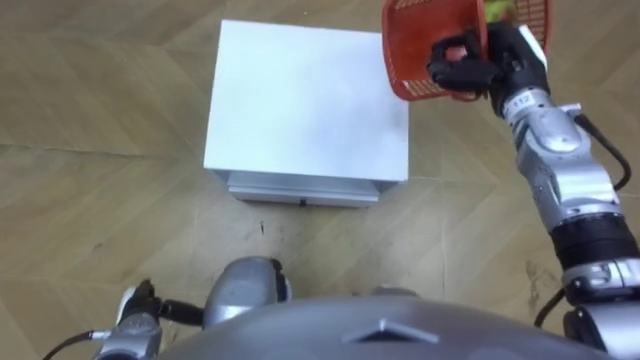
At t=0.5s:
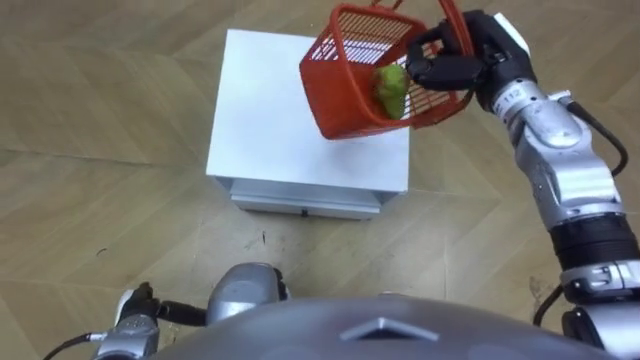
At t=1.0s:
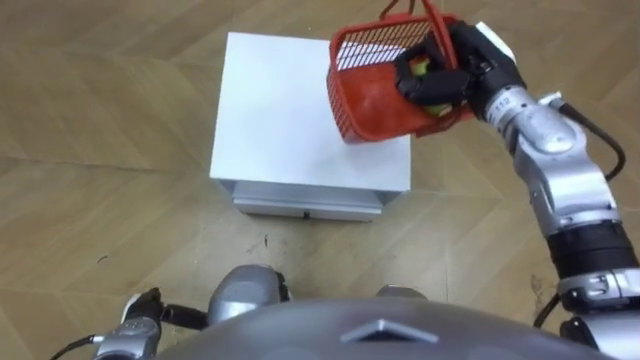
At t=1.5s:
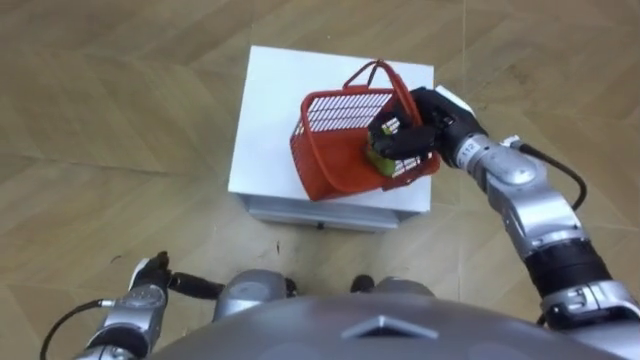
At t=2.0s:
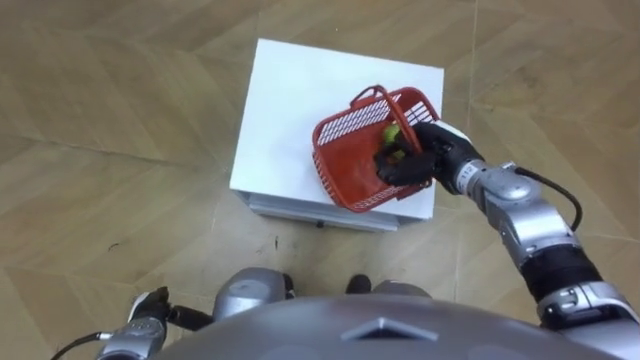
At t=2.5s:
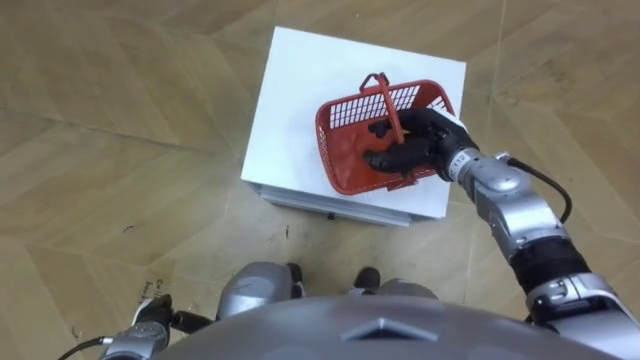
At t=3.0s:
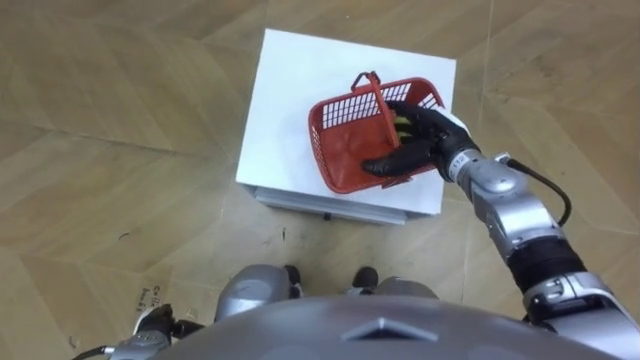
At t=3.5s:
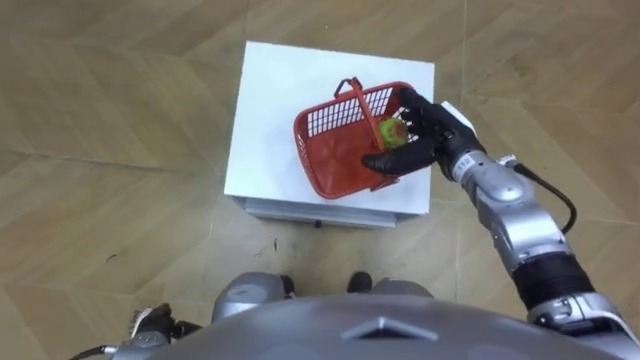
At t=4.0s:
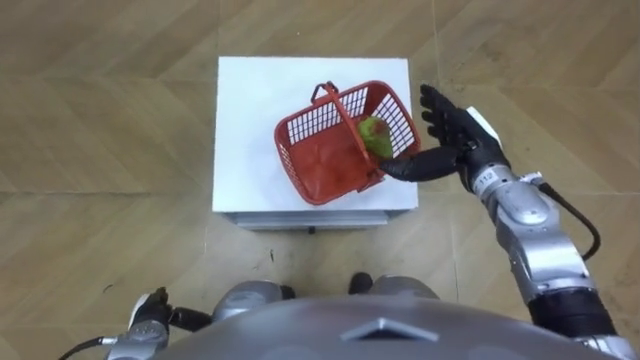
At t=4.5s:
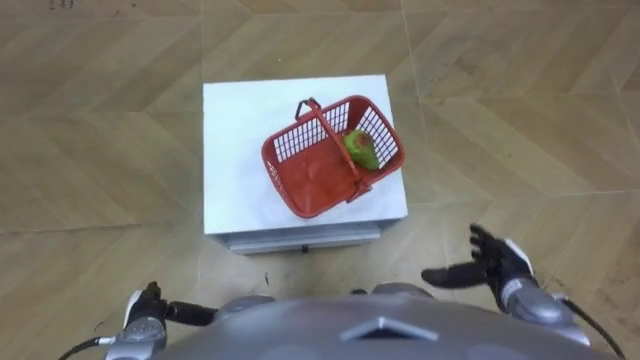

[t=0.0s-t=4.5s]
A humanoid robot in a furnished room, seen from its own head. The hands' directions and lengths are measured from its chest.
Task of the whole recording: Pick up the fruit basket from the floor and place it on the cabinet.
t=0.0s to t=2.0s: The right hand heads downward, backward and to the left, covering approximately 15 cm.
t=2.0s to t=4.5s: The right hand heads backward, to the right and downward, covering some 20 cm, and opens.

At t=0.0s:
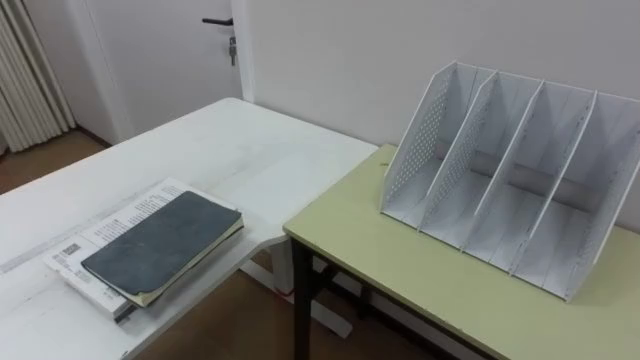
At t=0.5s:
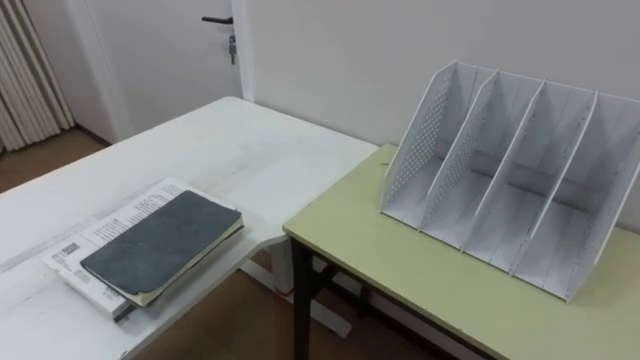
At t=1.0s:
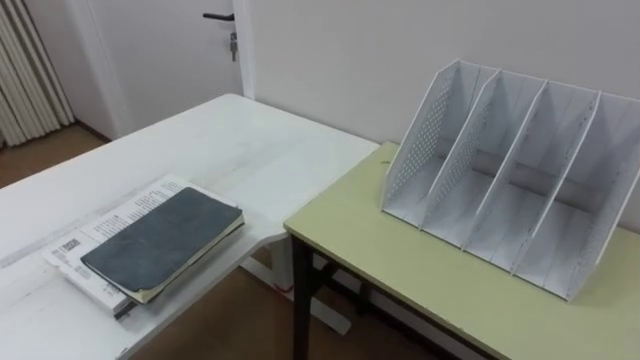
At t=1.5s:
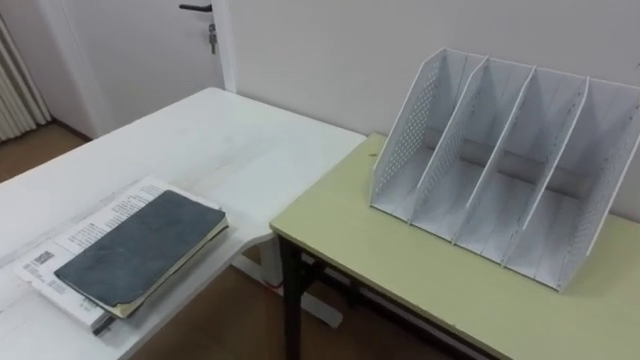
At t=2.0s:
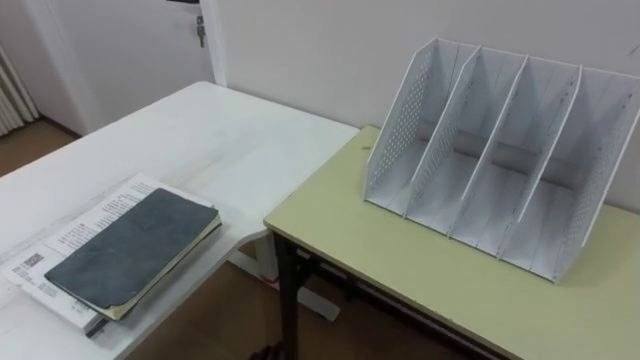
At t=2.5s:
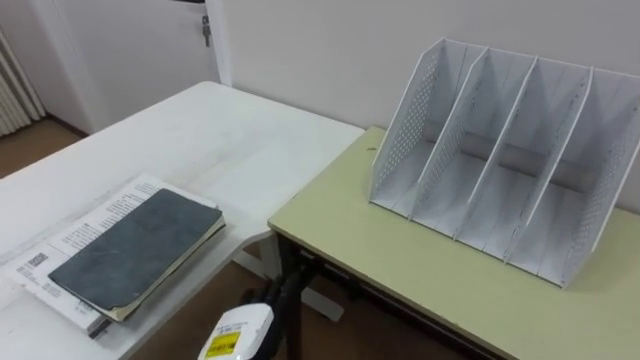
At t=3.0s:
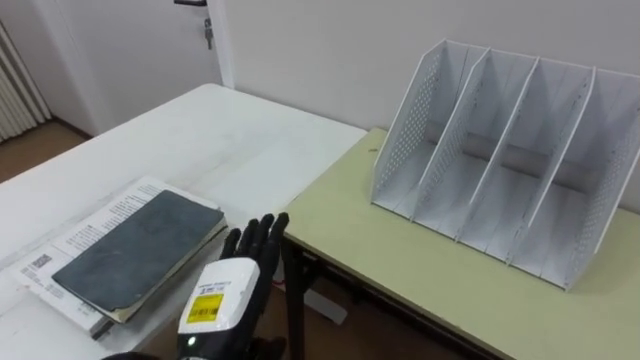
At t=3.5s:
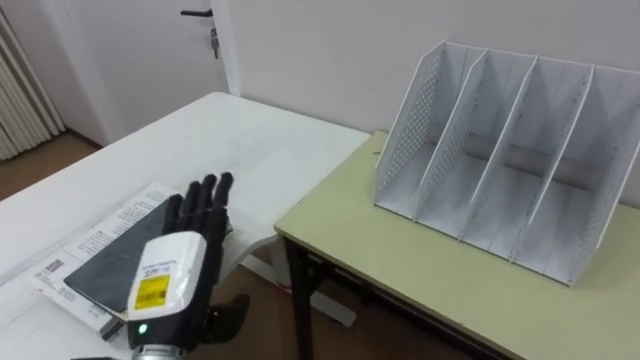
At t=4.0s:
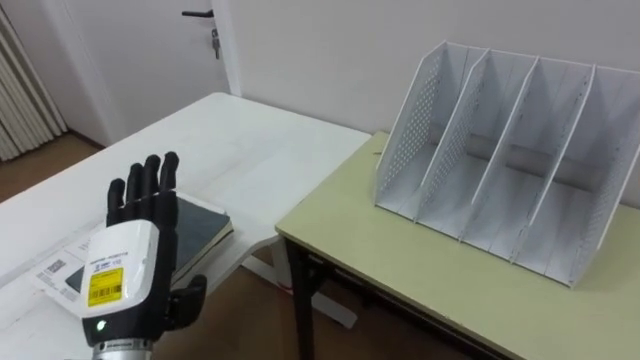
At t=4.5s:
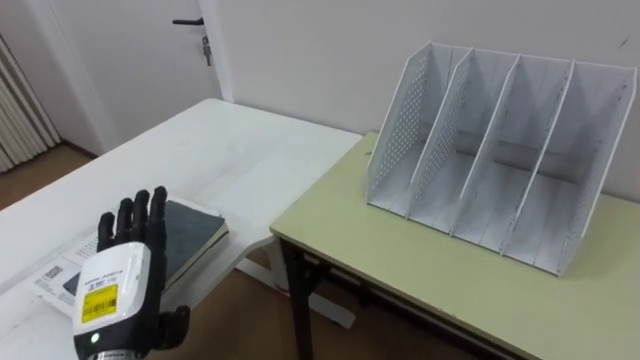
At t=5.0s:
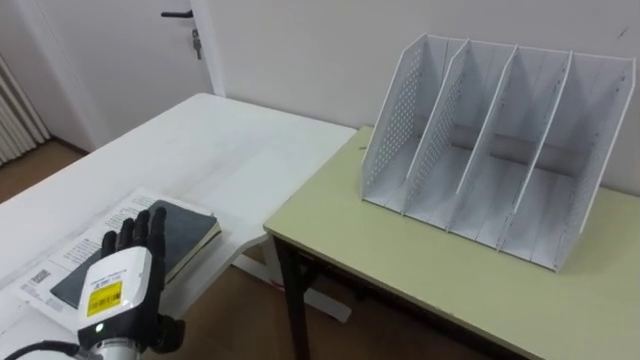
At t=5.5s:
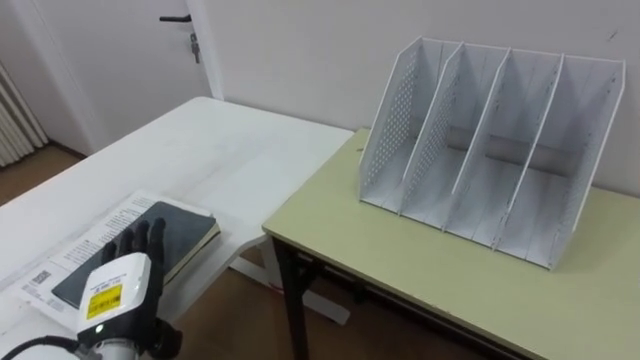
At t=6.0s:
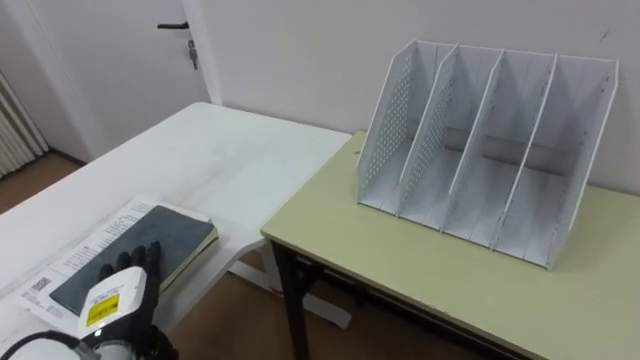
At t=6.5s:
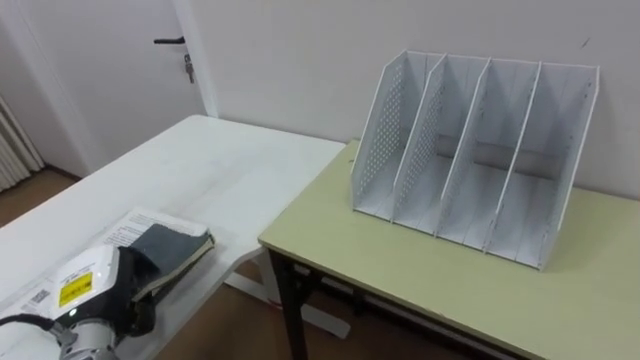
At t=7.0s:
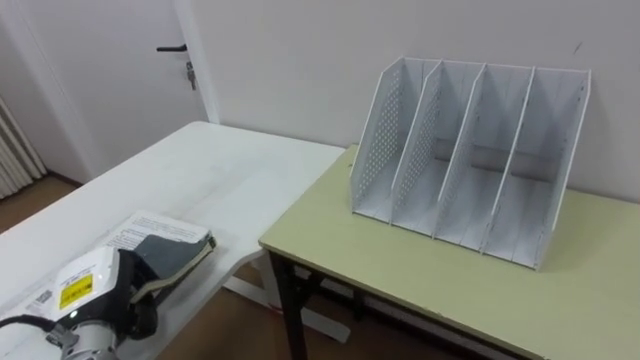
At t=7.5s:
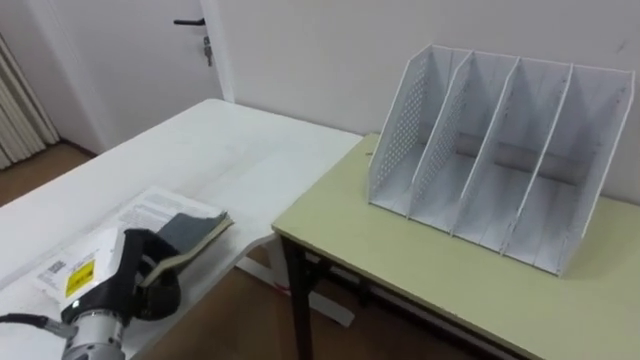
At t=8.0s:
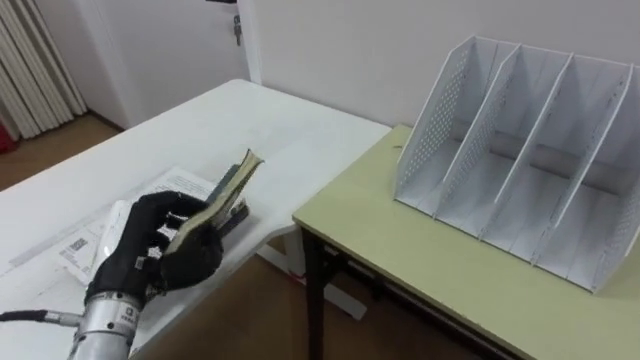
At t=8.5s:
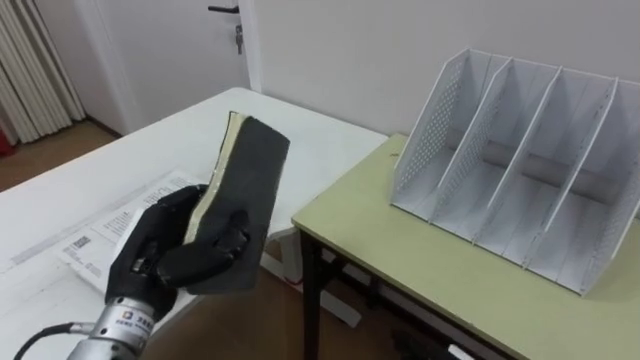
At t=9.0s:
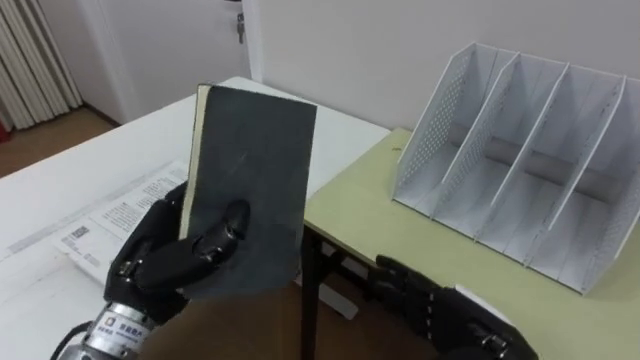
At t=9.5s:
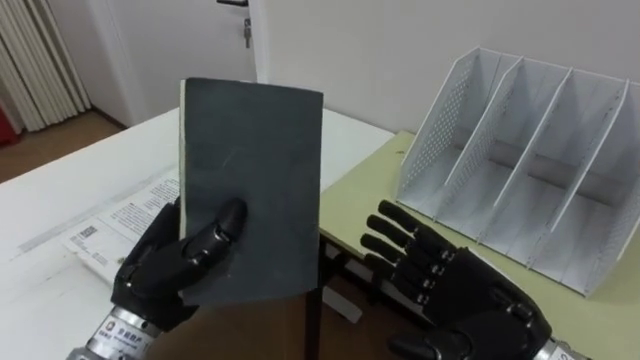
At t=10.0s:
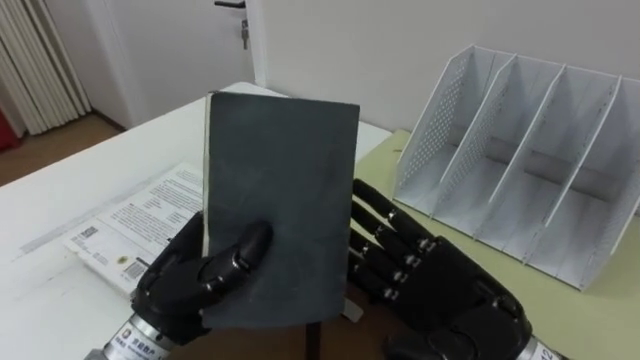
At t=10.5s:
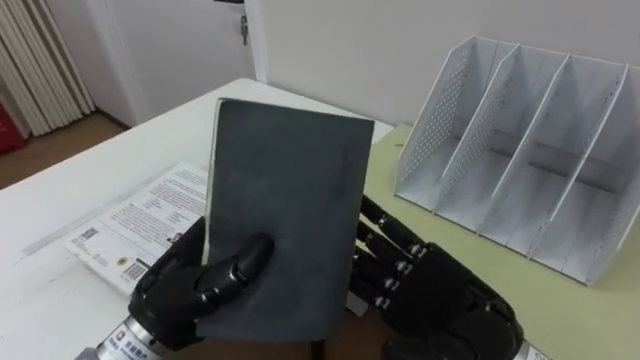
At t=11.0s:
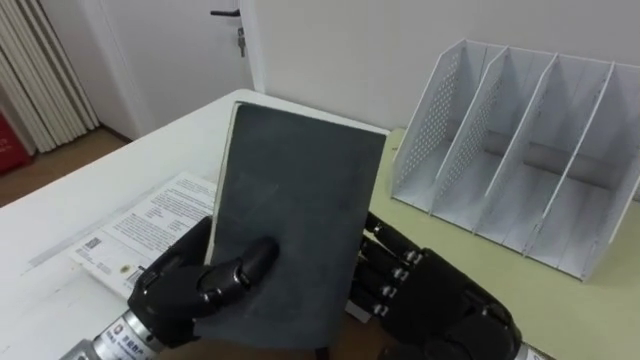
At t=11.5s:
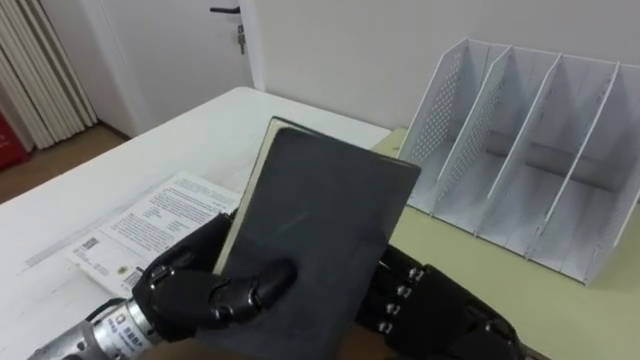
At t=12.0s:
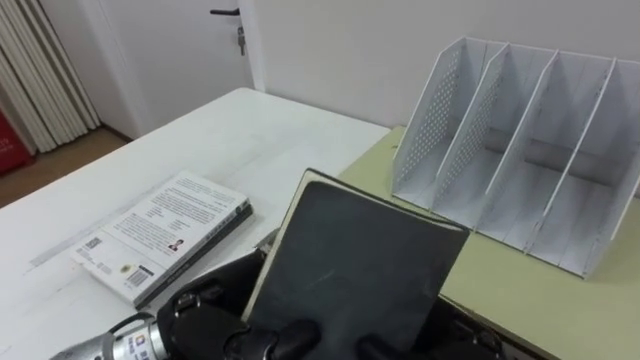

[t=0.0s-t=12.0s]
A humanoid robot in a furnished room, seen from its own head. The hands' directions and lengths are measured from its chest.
Task of the whole recording: Put the books on the table onto the bookshelf.
t=4.0s to t=6.0s: The left hand travels downward by about 10 cm.
t=6.0s to t=8.0s: The left hand travels upward by about 10 cm, and closes up.
t=8.0s to t=10.0s: The left hand heads to the right, covering roughly 10 cm.
t=10.0s to t=12.0s: The right hand closes its fingers.

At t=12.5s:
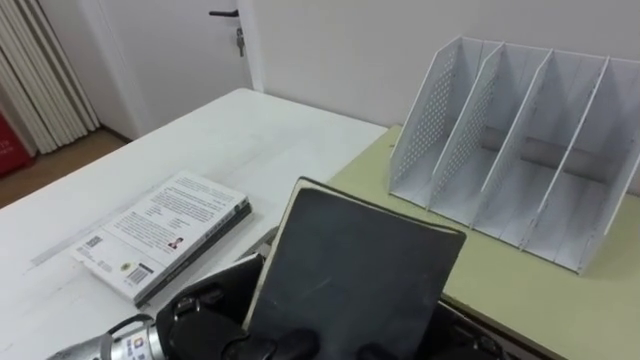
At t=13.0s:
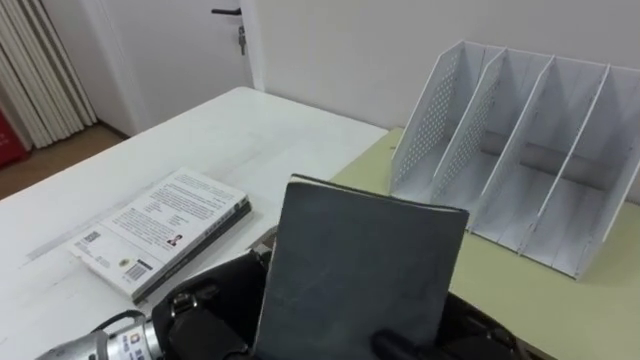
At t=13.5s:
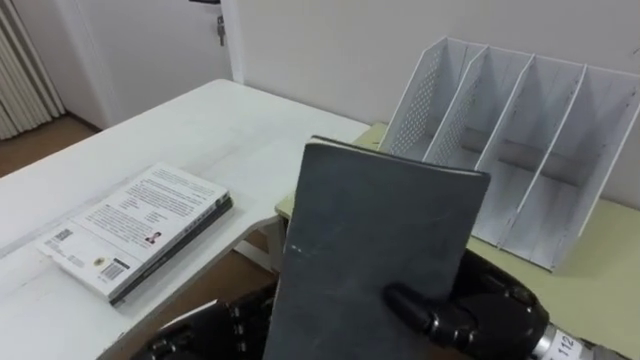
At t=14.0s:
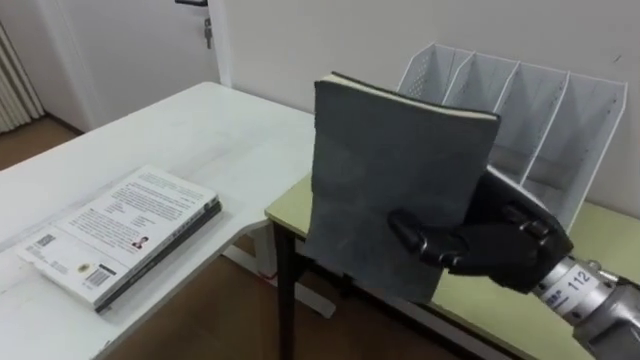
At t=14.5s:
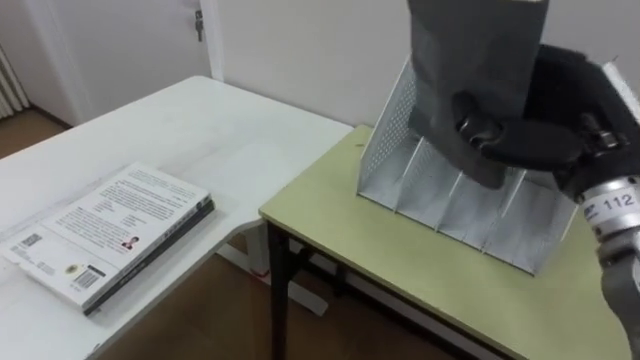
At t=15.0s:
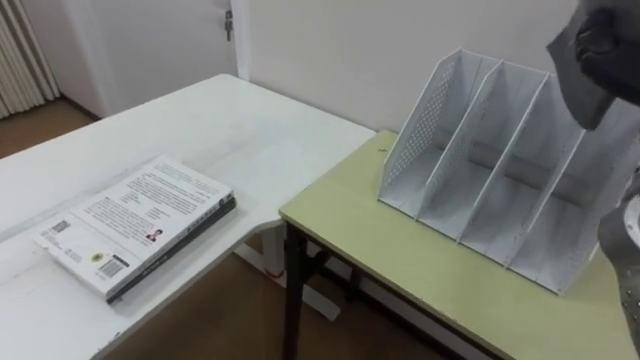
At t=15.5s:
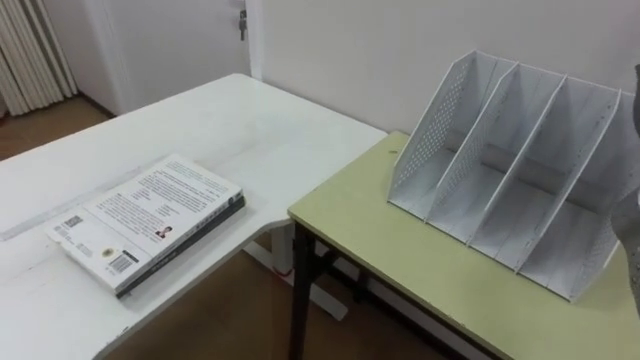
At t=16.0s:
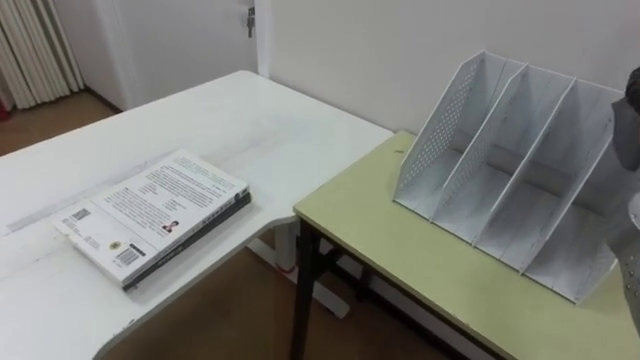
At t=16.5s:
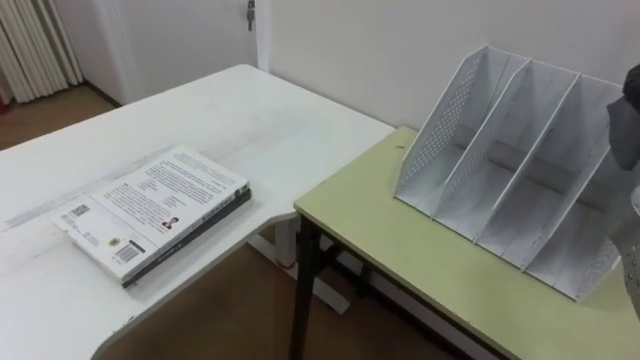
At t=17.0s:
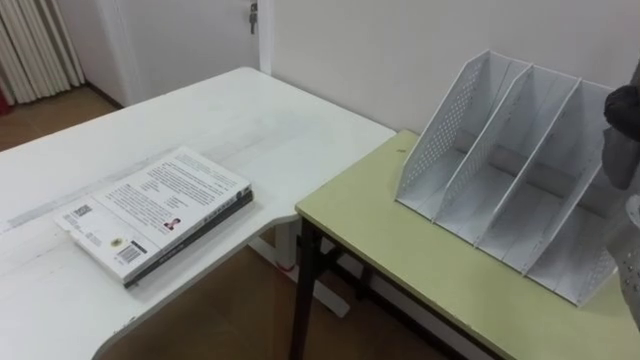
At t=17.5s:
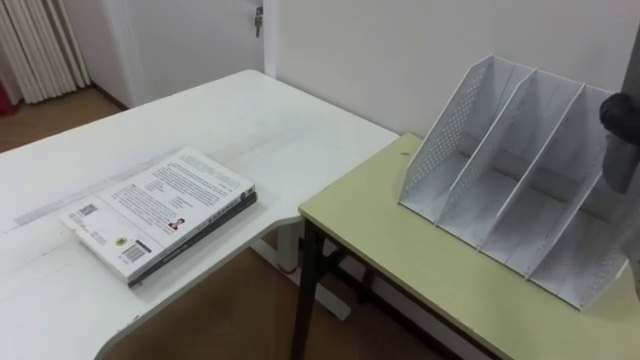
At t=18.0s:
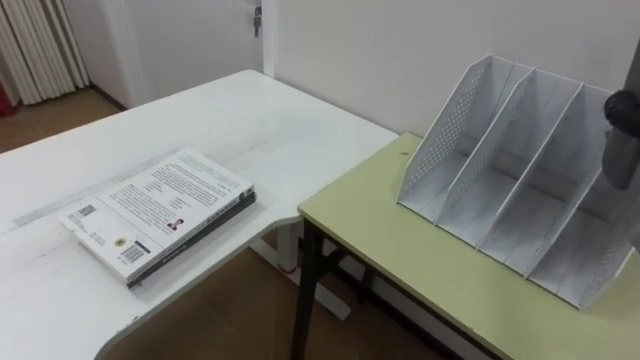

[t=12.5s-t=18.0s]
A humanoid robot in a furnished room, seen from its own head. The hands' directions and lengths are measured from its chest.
Task of the whole recording: Put the books on the table onto the bookshelf.
t=12.5s to t=14.5s: The right hand travels upward, to the right and forward by roughly 20 cm.
